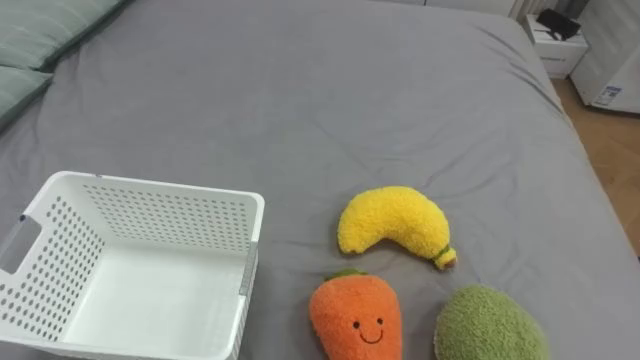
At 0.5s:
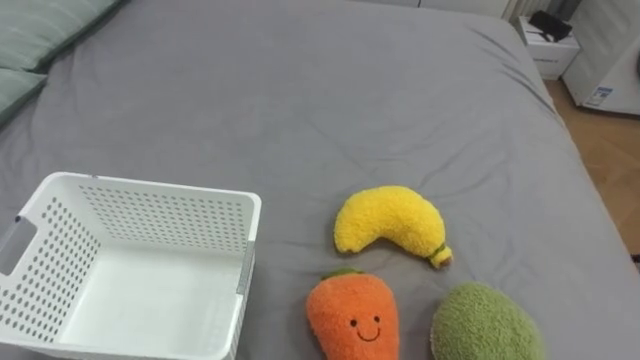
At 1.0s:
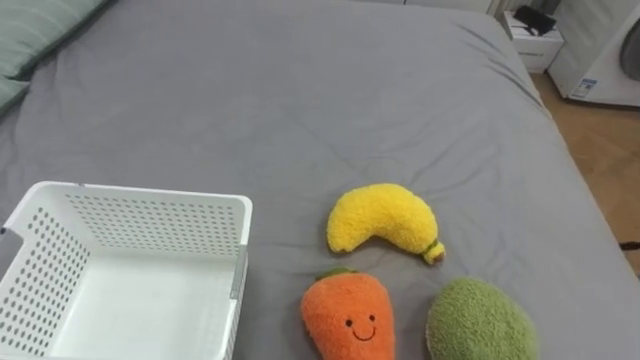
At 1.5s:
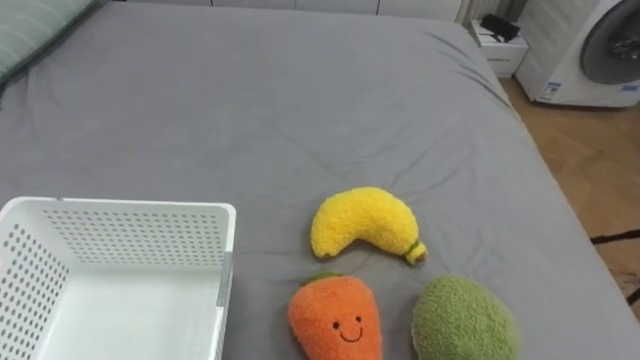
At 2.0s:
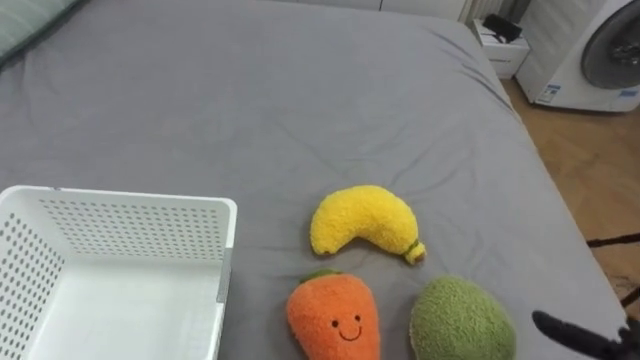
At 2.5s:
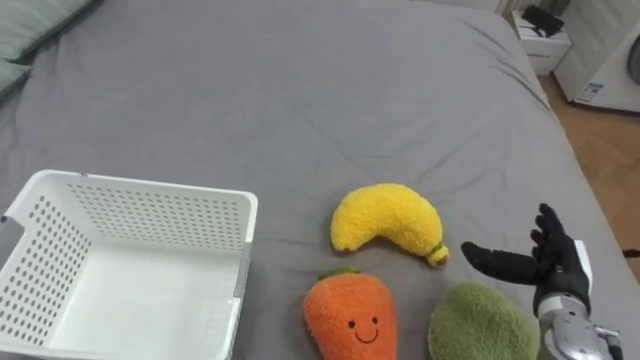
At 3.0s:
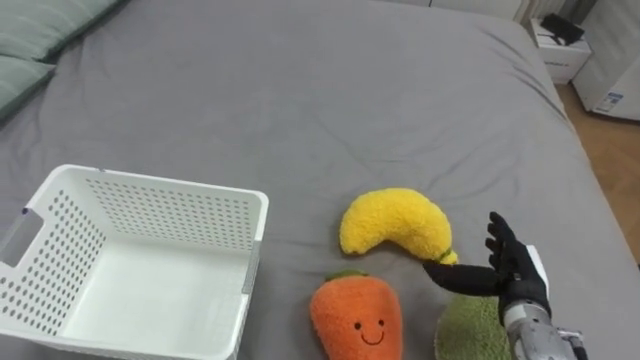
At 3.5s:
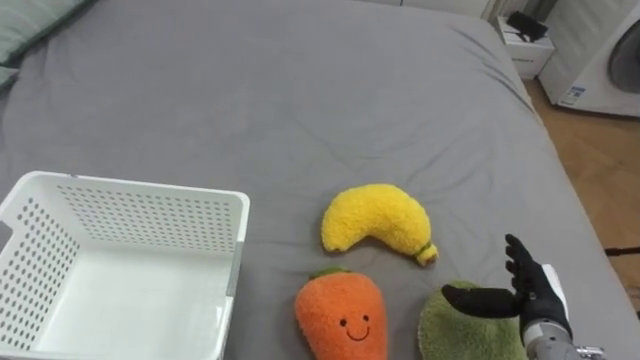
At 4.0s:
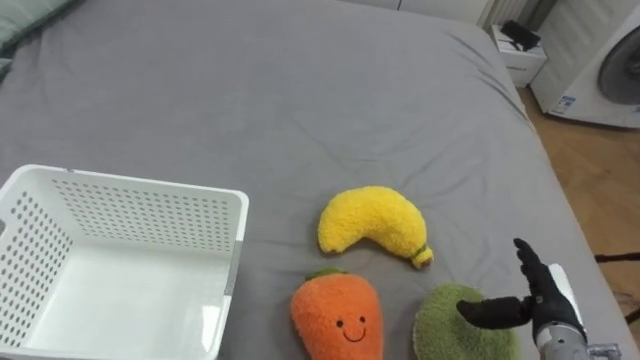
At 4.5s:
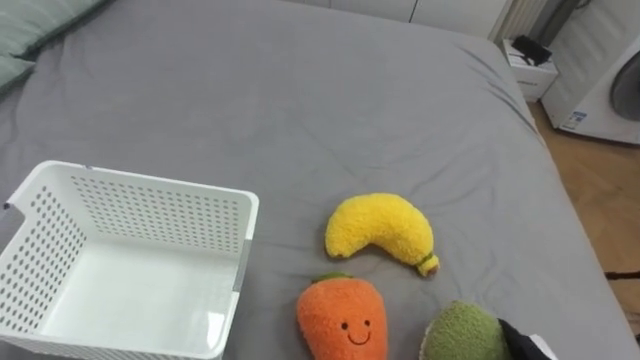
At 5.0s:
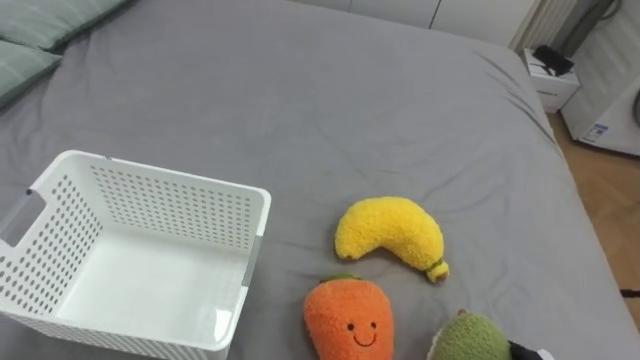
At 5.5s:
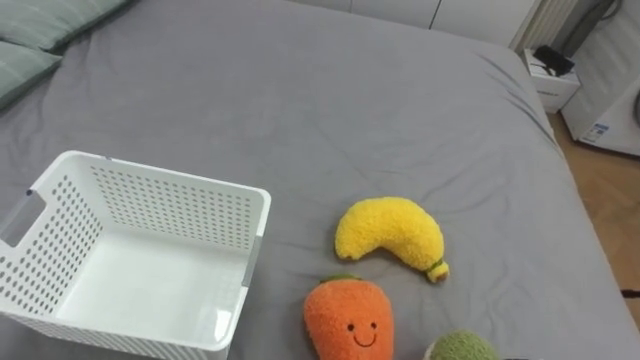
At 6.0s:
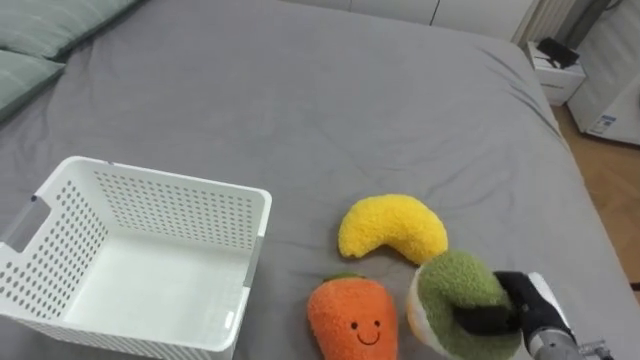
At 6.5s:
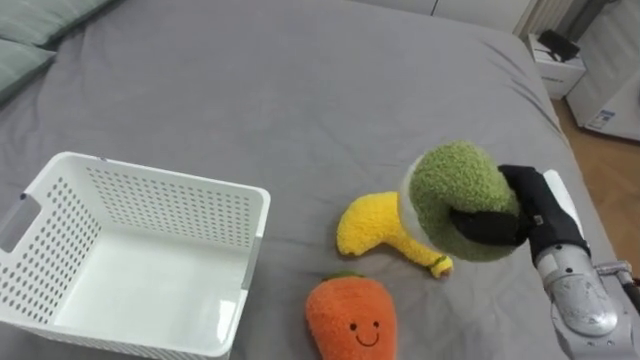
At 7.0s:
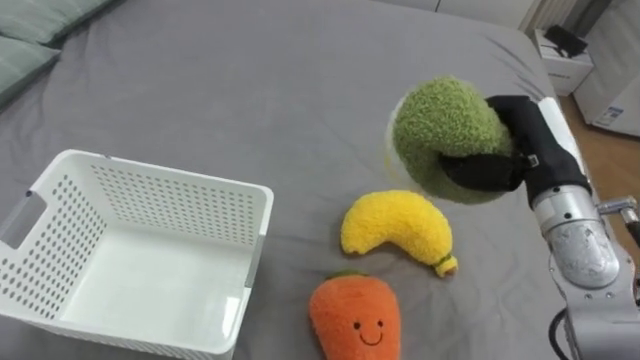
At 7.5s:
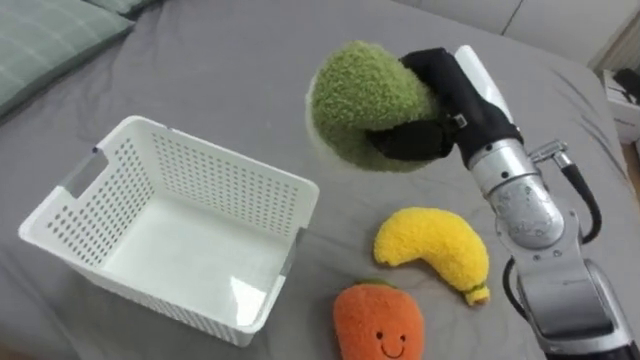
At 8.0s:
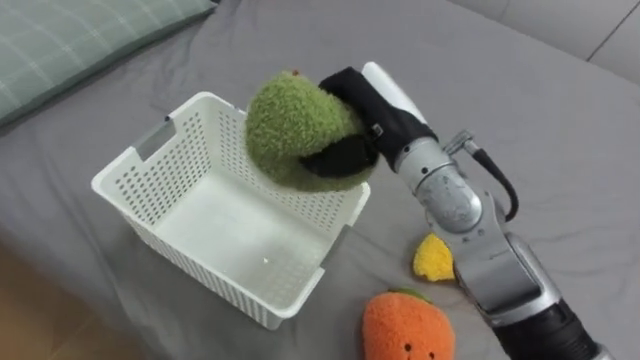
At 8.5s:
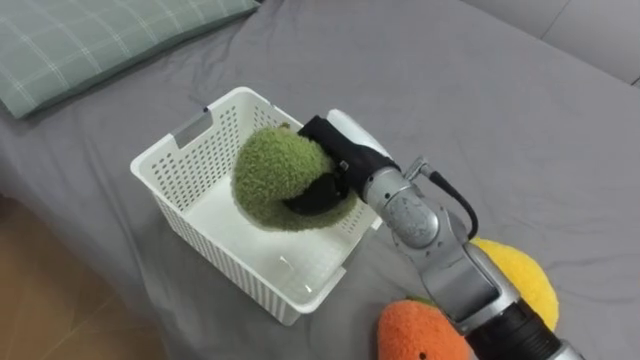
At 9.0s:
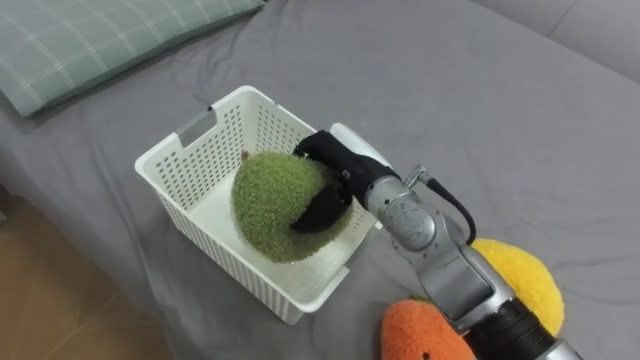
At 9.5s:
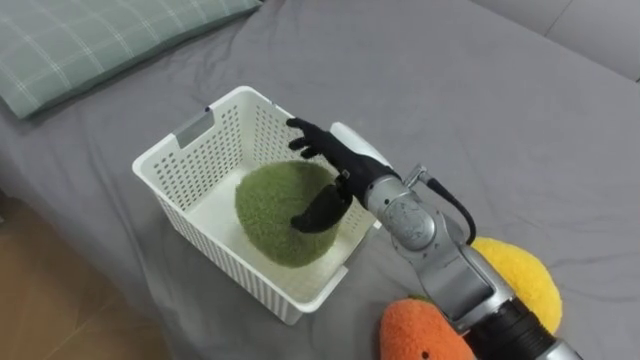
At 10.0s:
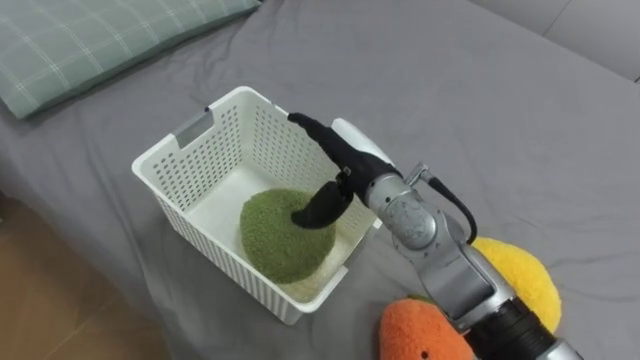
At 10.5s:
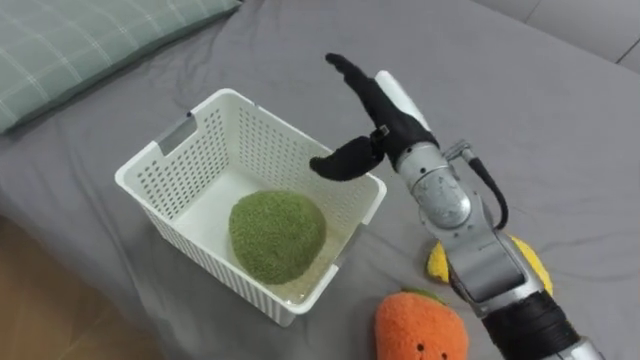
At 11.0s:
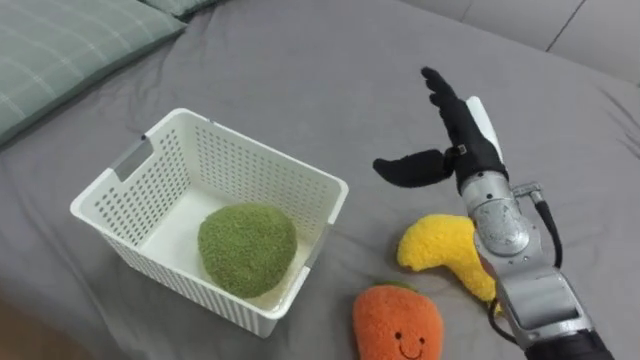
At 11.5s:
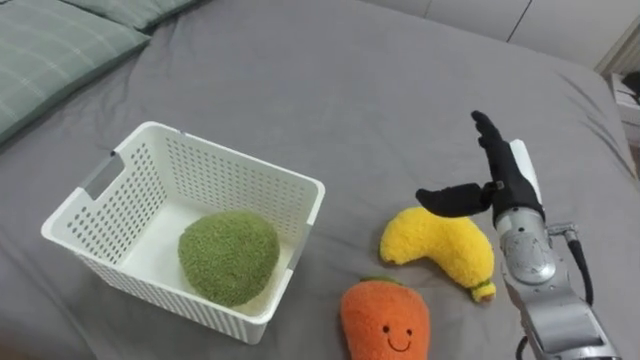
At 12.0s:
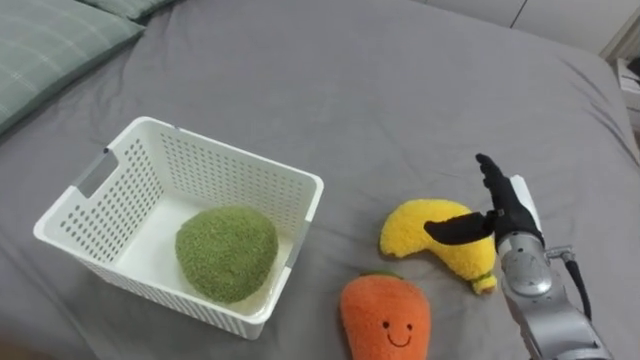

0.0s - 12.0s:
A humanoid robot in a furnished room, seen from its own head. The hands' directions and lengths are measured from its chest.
Task of the whole recording: Put the toys on the bed into the basket on the left.
6.0s - 8.0s: The right hand heads upward, to the left and forward, covering some 35 cm.
8.0s - 10.0s: The right hand goes about 5 cm downward, and opens.
10.0s - 12.0s: The right hand goes some 25 cm to the right and downward.

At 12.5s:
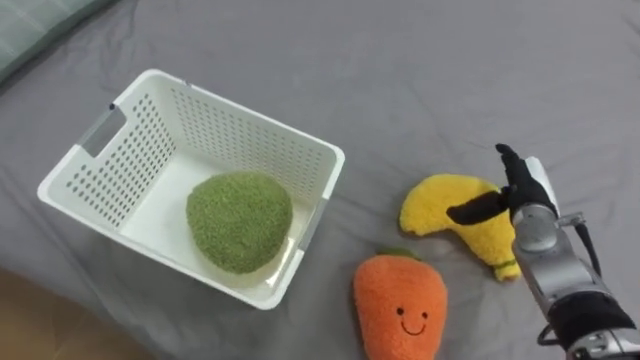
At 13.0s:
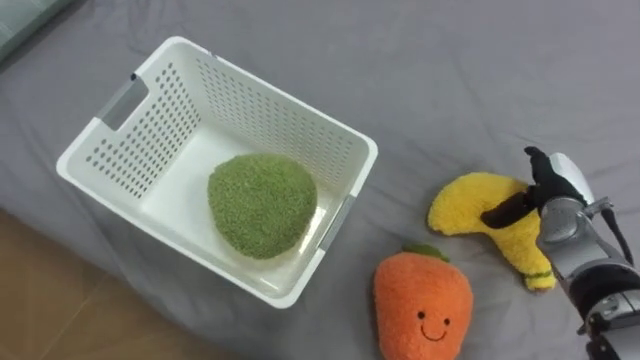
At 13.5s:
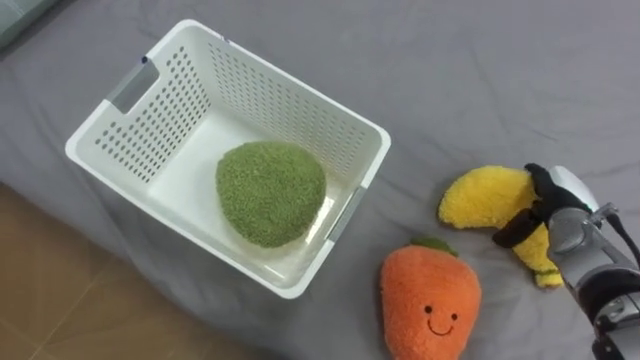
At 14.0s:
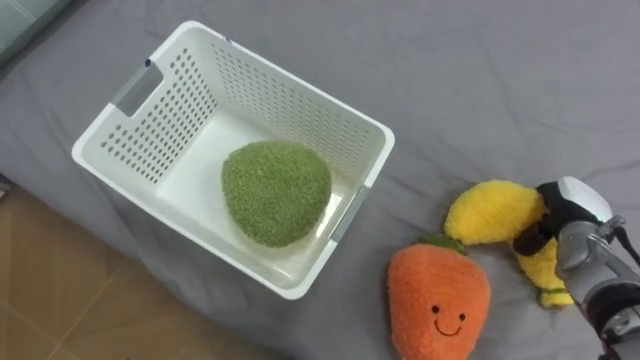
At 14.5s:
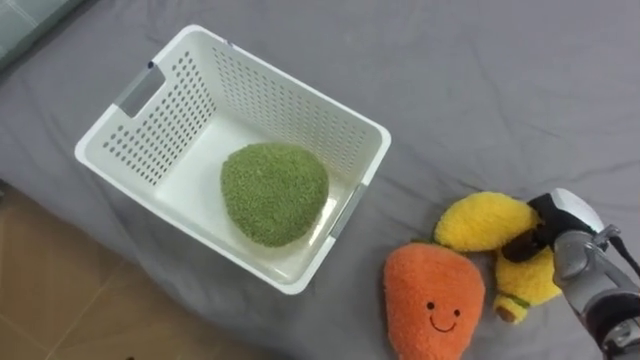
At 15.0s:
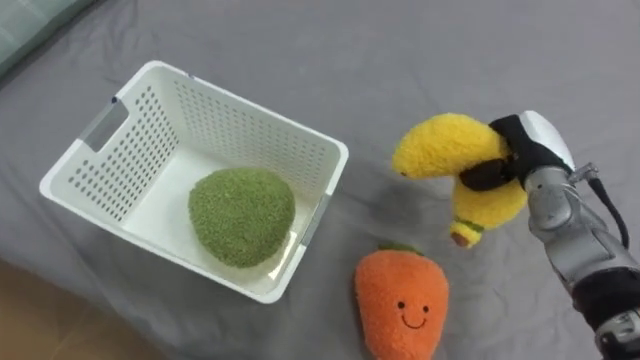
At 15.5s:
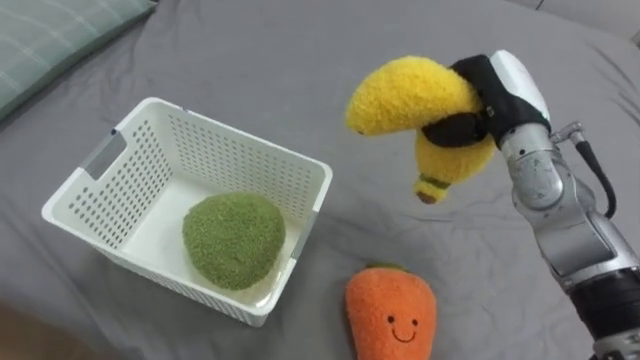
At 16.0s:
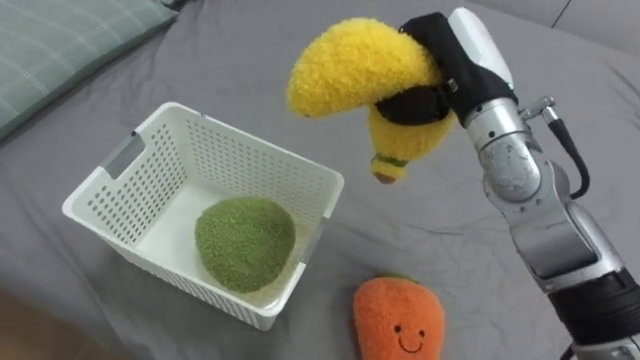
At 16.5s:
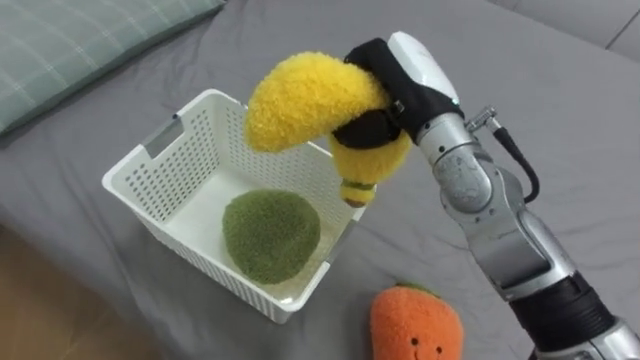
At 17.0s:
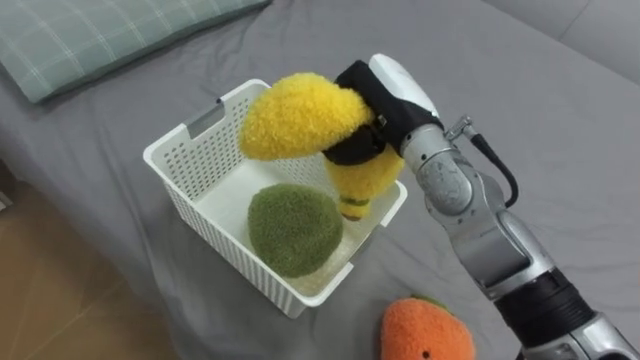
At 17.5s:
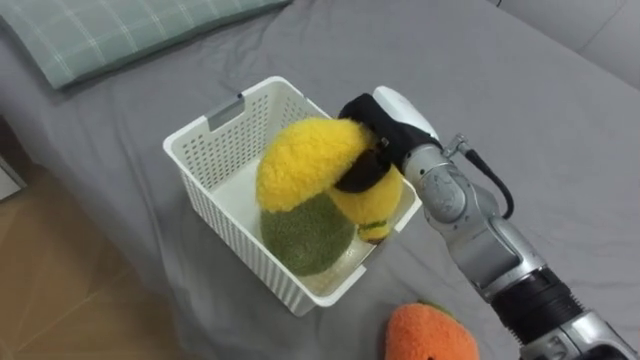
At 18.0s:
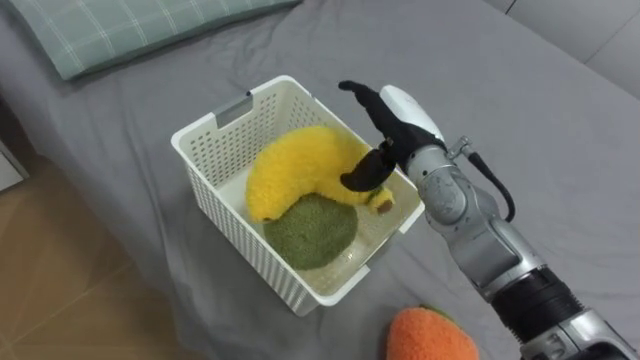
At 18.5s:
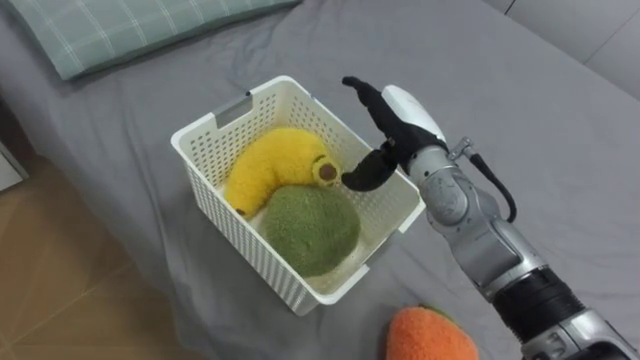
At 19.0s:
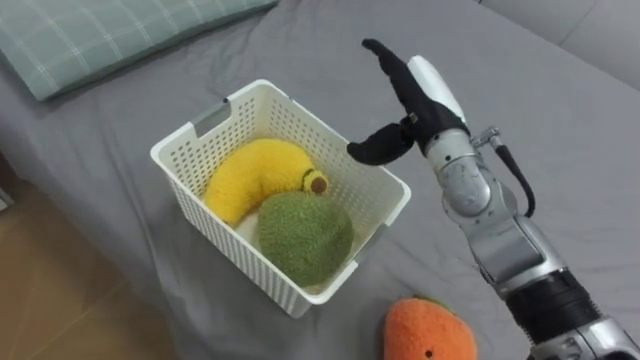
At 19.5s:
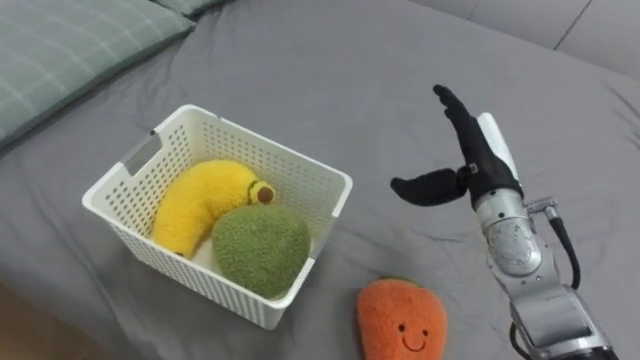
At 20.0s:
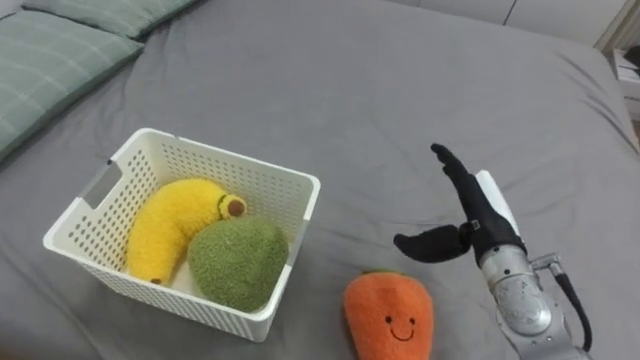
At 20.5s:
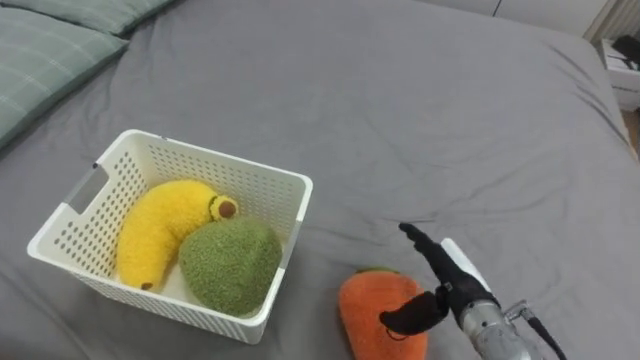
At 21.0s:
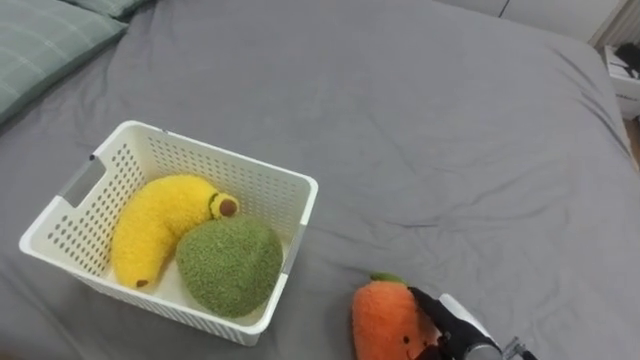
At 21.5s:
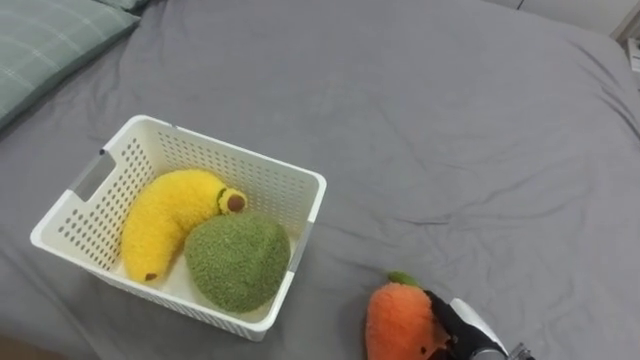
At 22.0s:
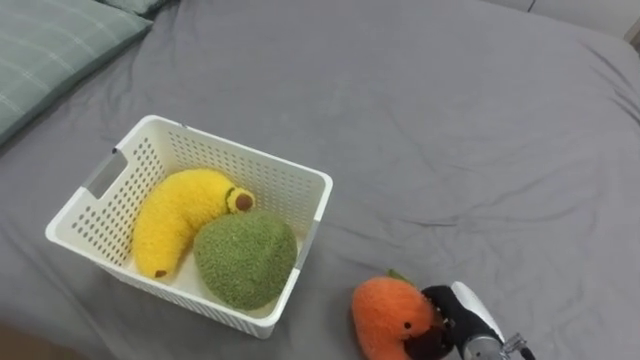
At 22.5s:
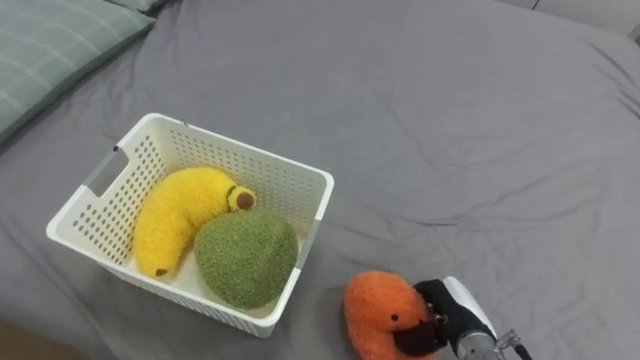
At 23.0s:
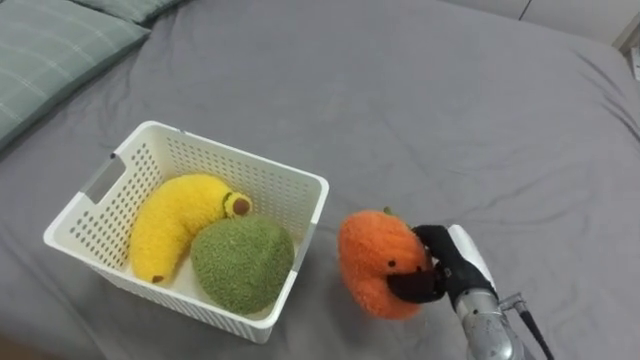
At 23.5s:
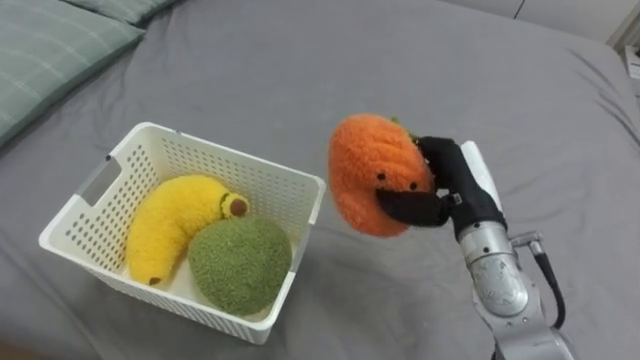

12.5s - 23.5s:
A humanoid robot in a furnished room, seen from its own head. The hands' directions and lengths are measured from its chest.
Task of the whole recording: Put the toys on the bed into the basket on the left.
12.5s - 14.5s: The right hand shifts approximately 5 cm to the right, and closes.
14.5s - 16.0s: The right hand goes some 30 cm upward and to the left.
16.0s - 18.0s: The right hand goes roughly 10 cm downward and to the left, and opens.
18.0s - 20.0s: The right hand travels to the right, backward and downward by about 15 cm.
20.0s - 21.5s: The right hand moves downward and backward, about 20 cm.
21.5s - 23.5s: The right hand moves upward and forward, approximately 20 cm, and closes.
